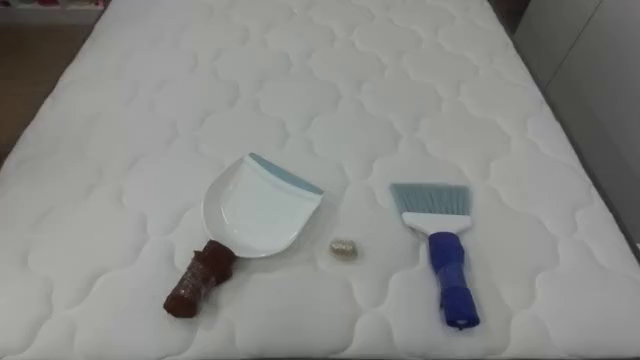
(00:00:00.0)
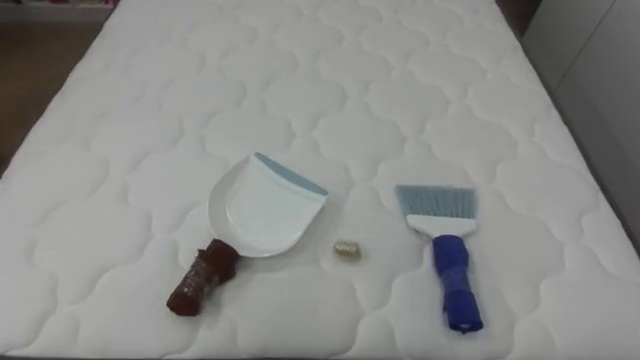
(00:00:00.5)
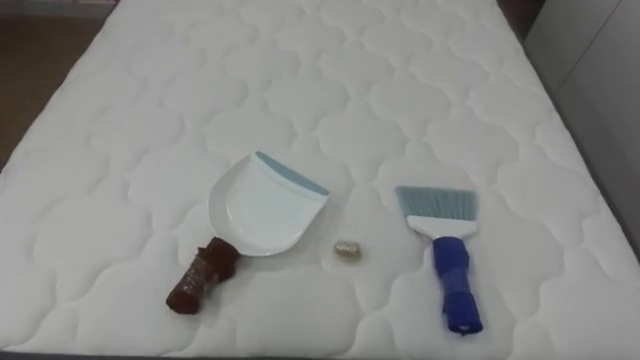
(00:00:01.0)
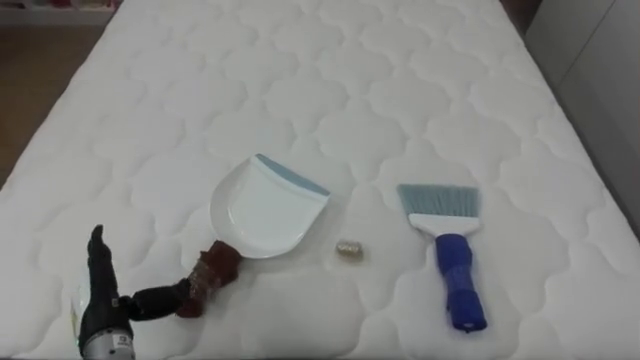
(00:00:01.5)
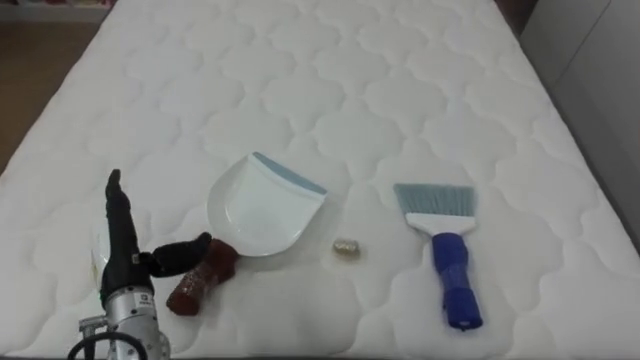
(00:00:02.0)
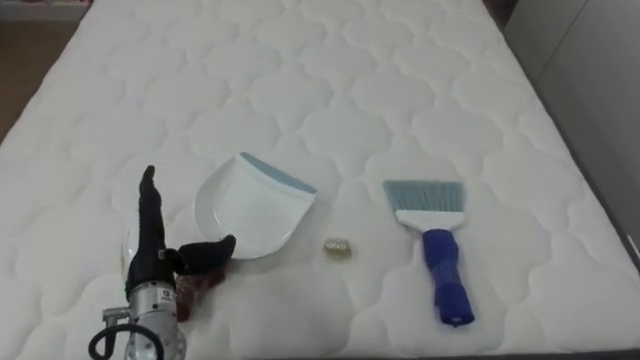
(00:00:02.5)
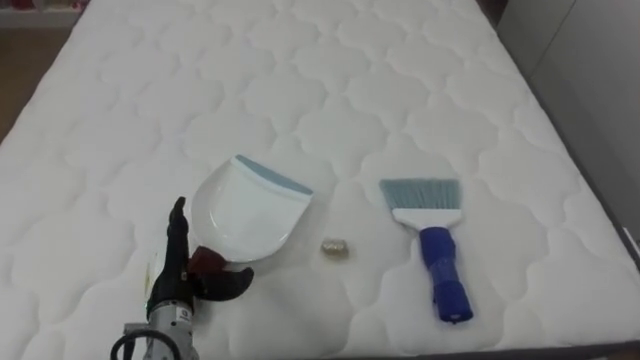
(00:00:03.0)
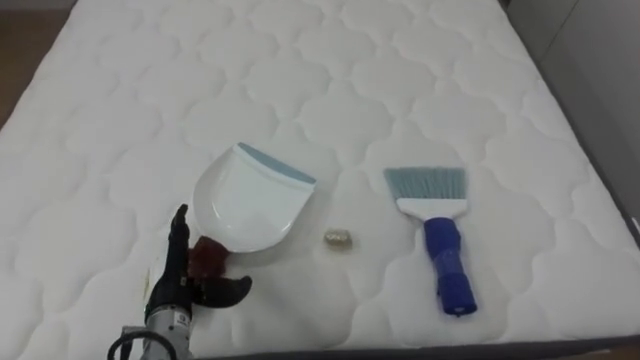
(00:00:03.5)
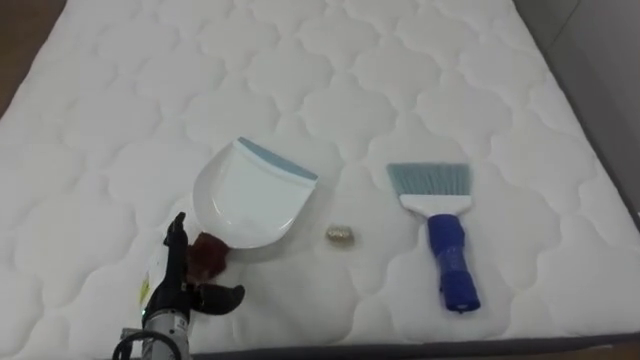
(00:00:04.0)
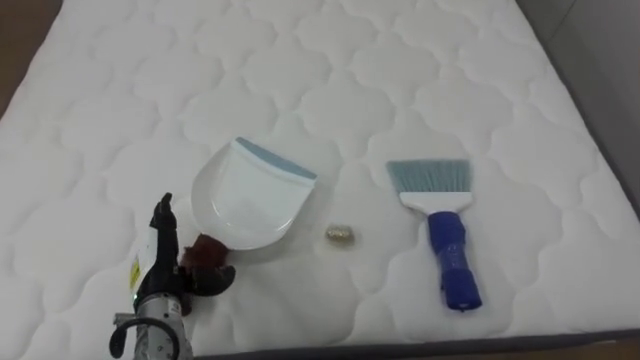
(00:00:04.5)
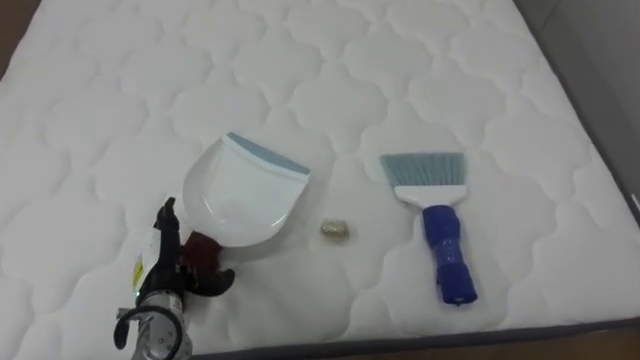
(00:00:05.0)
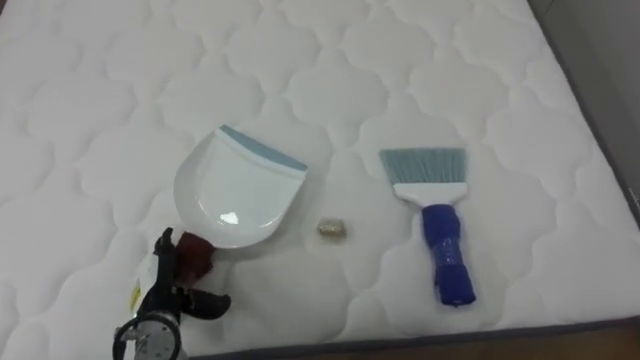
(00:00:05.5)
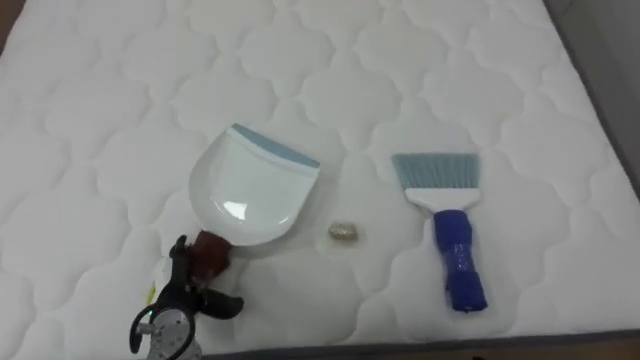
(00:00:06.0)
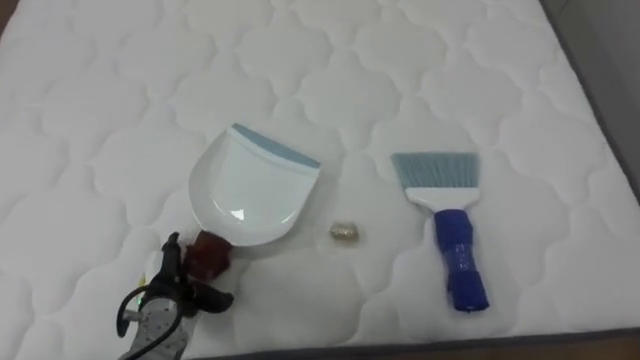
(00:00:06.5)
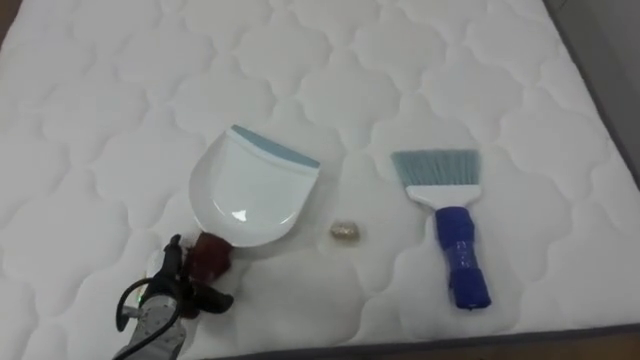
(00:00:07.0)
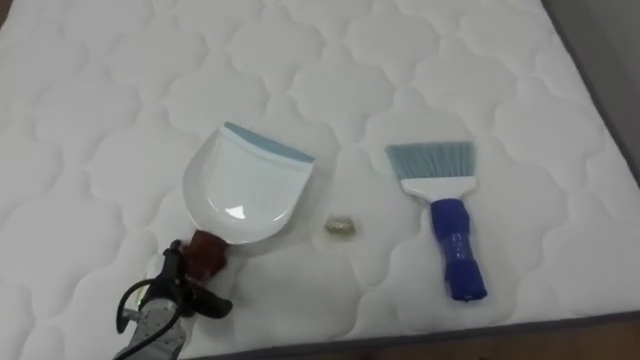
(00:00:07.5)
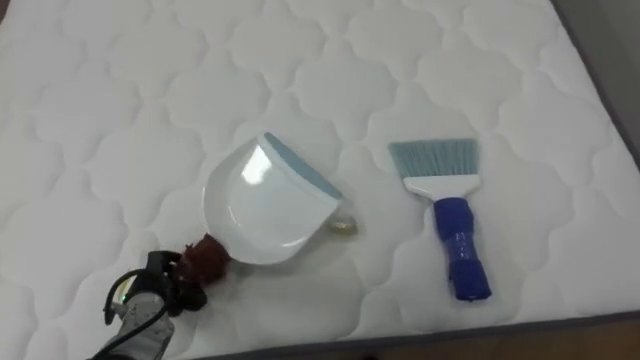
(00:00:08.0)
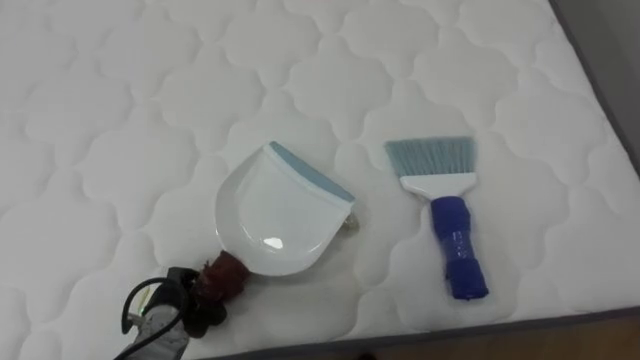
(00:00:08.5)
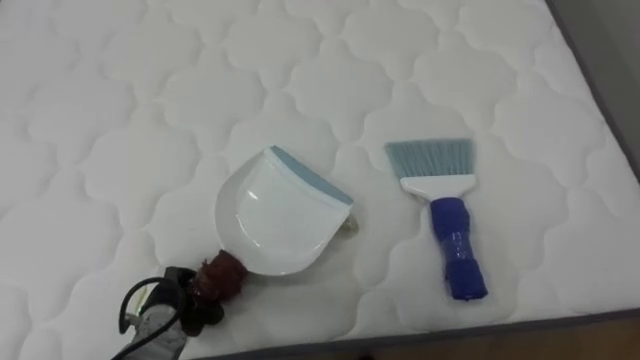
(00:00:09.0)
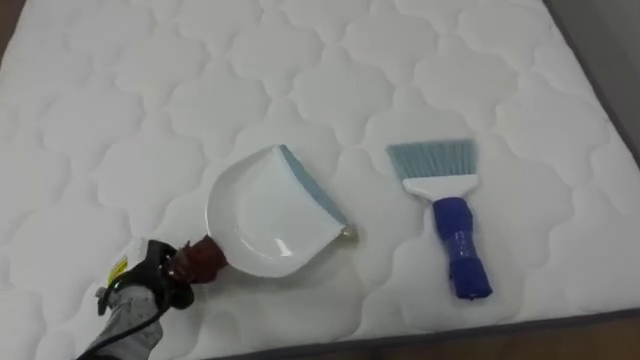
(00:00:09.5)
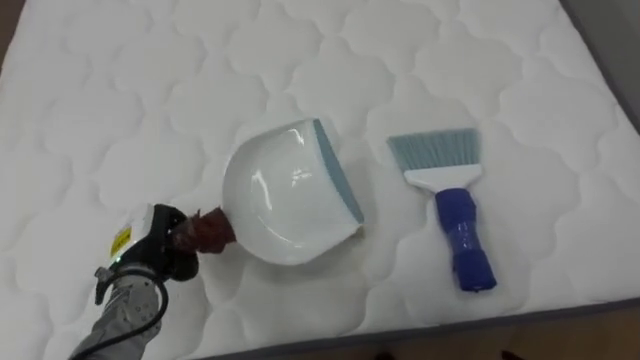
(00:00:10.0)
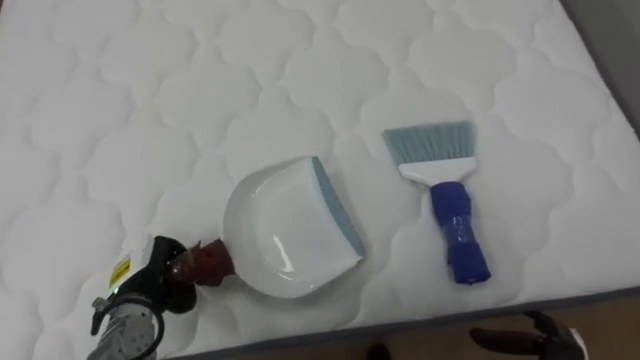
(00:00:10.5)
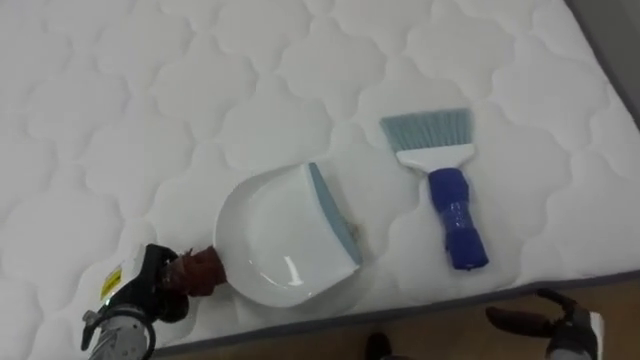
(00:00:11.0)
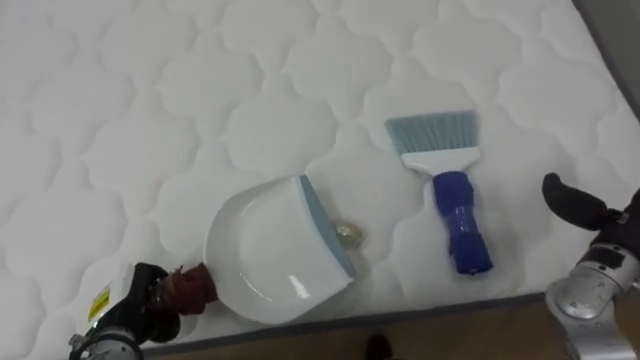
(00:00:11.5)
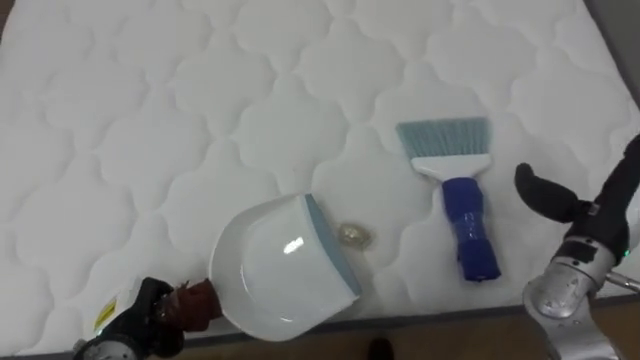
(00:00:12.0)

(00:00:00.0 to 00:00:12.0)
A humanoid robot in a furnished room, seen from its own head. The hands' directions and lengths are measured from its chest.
Task of the whole recording: Pick up the brush on your right and the dustpan on your left. Use the brush to sweep the crumpled paper on the bed into the dustpan, then turn left and empty it into the basket.
00:00:02.0 - 00:00:04.0: The left hand moves downward, approximately 5 cm.
00:00:06.0 - 00:00:08.0: The left hand closes its fingers.
00:00:08.0 - 00:00:10.0: The left hand travels upward by some 5 cm.
00:00:10.0 - 00:00:12.0: The left hand shifts some 10 cm backward and downward.

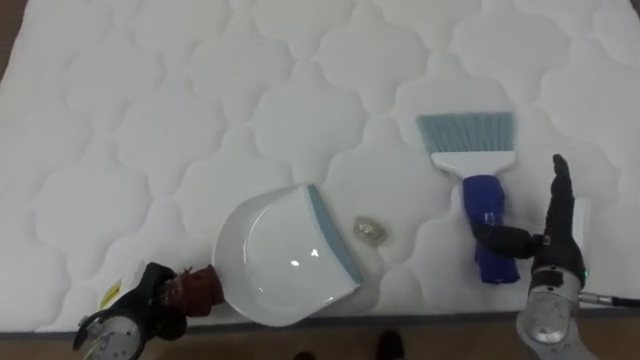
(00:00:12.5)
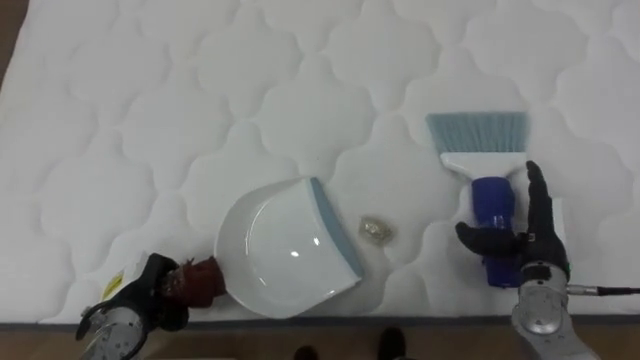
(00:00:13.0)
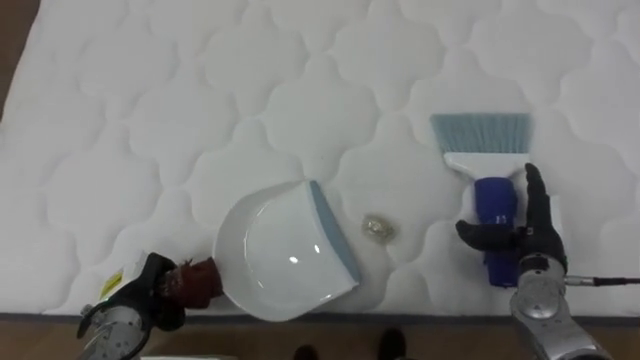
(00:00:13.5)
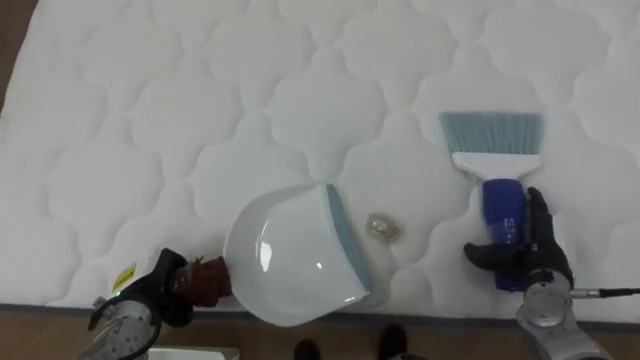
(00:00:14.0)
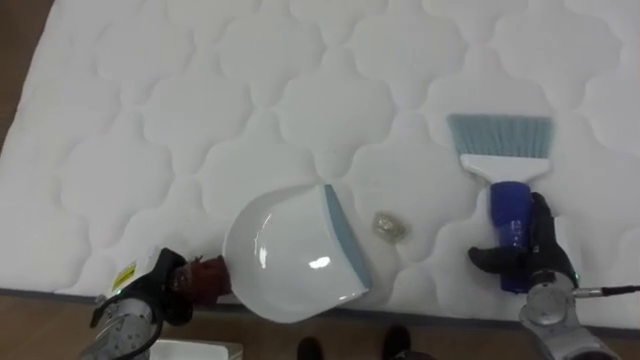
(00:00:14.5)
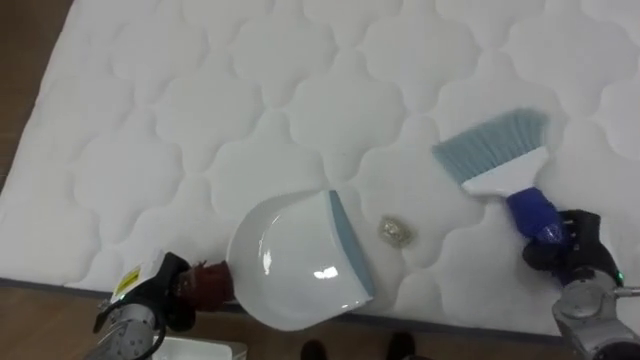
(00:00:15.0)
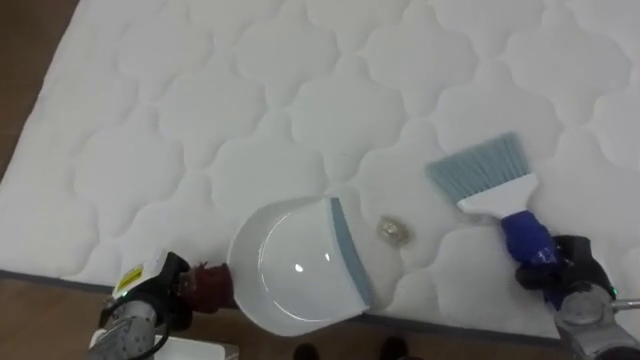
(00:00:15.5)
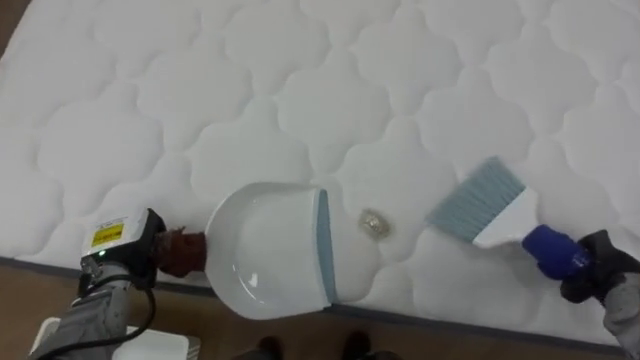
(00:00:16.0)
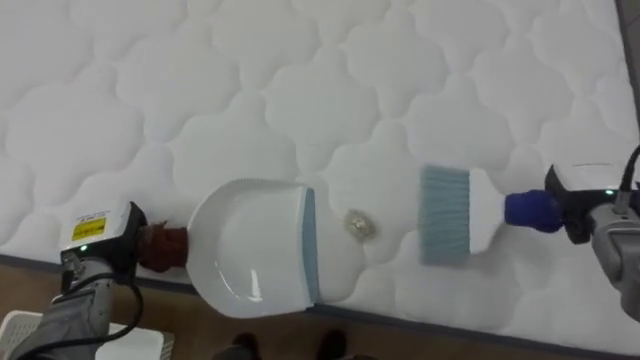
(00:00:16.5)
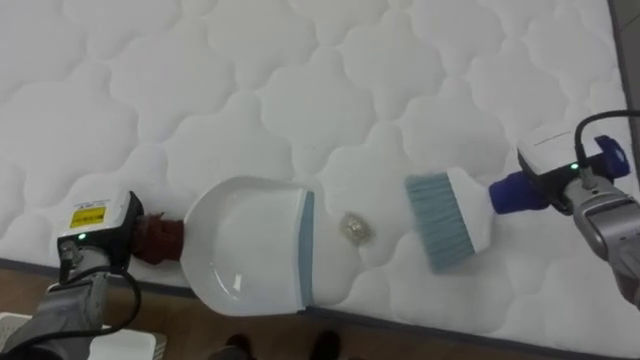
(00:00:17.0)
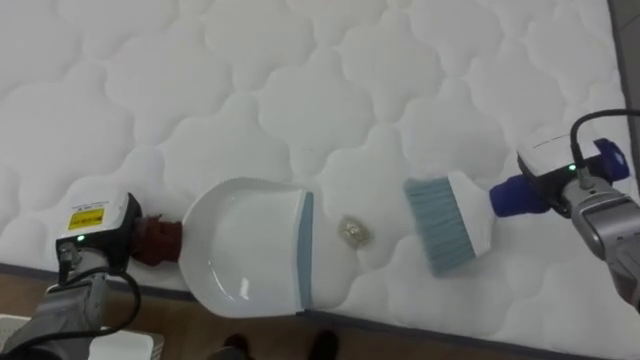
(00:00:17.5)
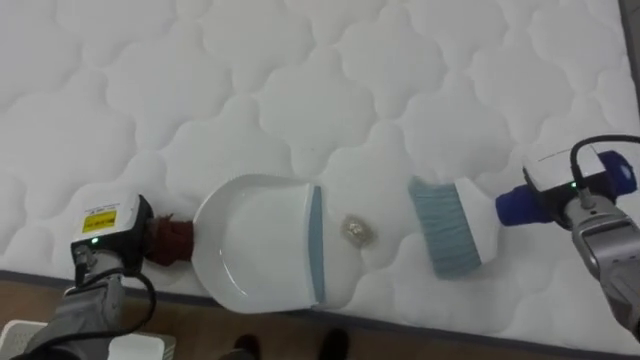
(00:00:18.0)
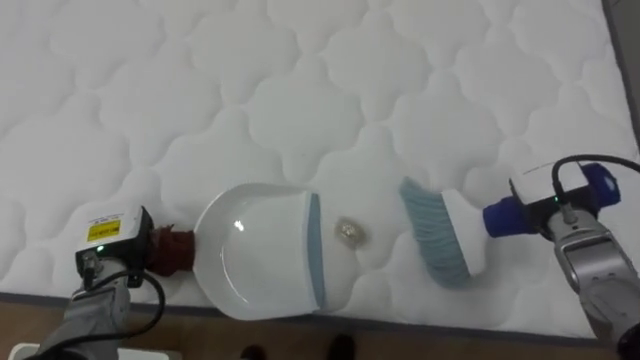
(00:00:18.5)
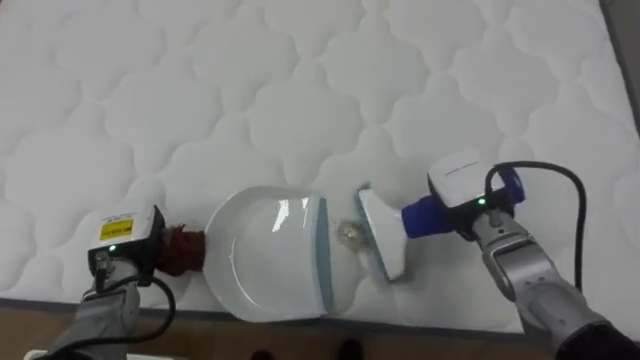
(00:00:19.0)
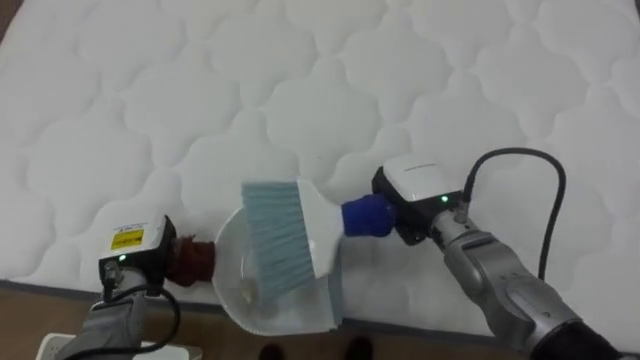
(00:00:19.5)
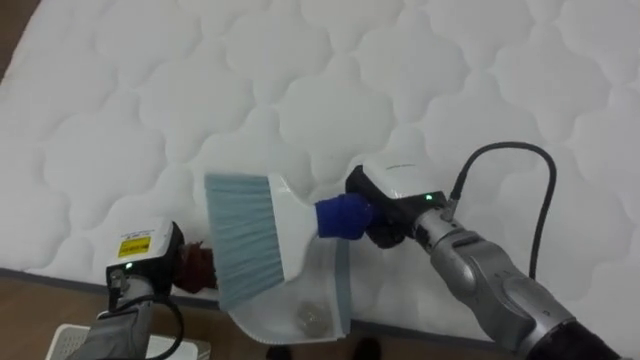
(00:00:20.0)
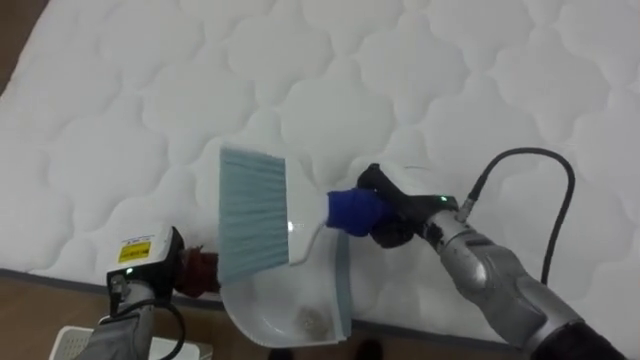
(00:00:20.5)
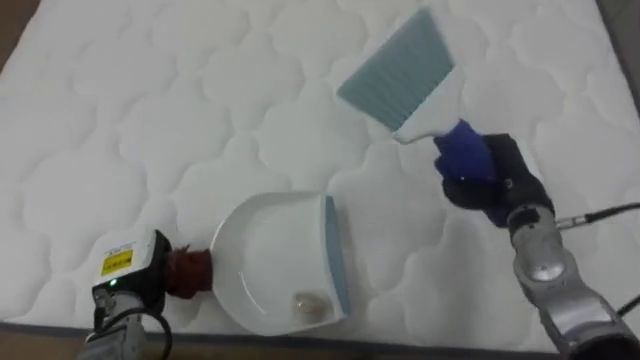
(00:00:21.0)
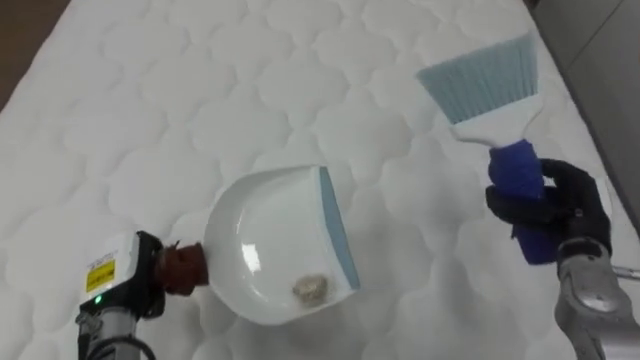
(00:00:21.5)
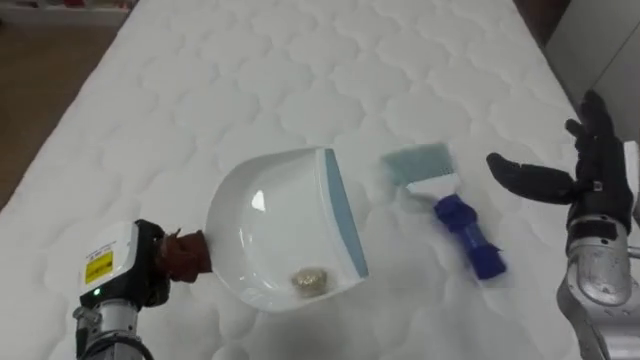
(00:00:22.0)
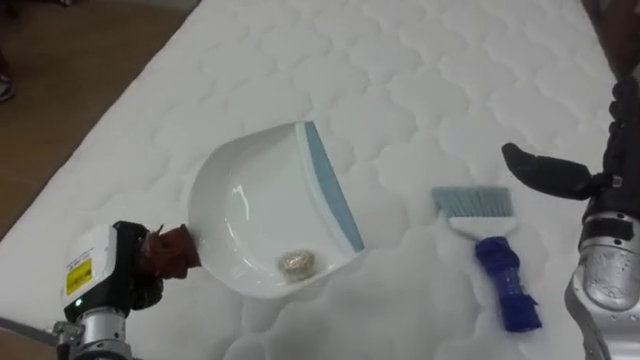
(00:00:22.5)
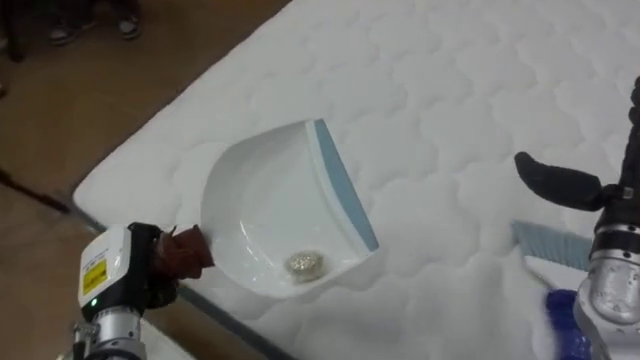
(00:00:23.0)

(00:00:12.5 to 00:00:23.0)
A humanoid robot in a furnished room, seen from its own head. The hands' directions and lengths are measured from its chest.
Task of the whole recording: Pick up the brush on your right and the dustpan on your left. Use the brush to sweep the crumpled paper on the bed into the dustpan, then turn left and empty it into the basket.
00:00:12.5 - 00:00:14.5: The right hand heads downward, covering approximately 5 cm.
00:00:14.5 - 00:00:16.5: The right hand travels upward and forward by approximately 10 cm, and closes its fingers. Meanwhile the left hand moves upward, approximately 5 cm.
00:00:16.5 - 00:00:19.0: The right hand is displaced to the left by some 15 cm.
00:00:19.0 - 00:00:21.0: The right hand heads to the right, covering roughly 5 cm.
00:00:21.0 - 00:00:23.0: The robot turns to its left by roughly 25 degrees. The right hand travels to the right, upward and backward by approximately 10 cm, and opens its fingers, while the left hand ends up about 5 cm from where it was.
